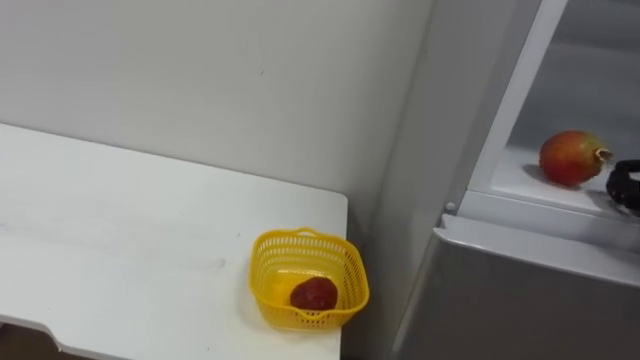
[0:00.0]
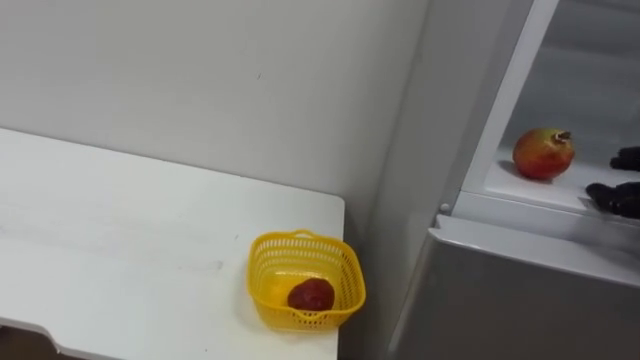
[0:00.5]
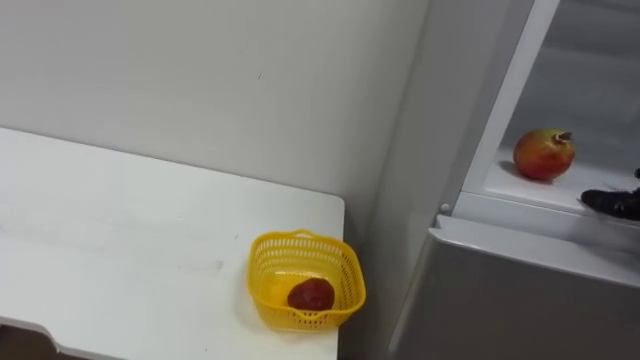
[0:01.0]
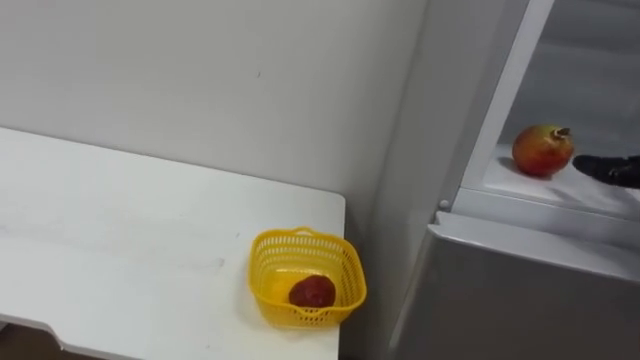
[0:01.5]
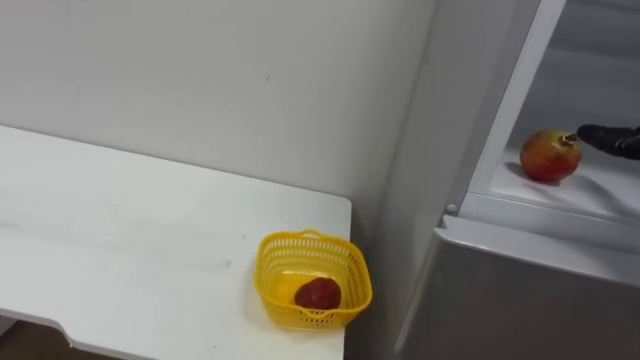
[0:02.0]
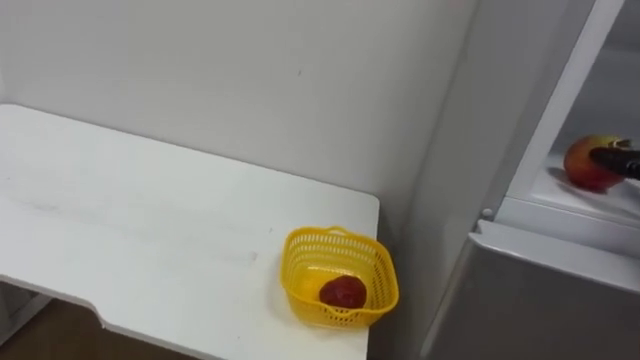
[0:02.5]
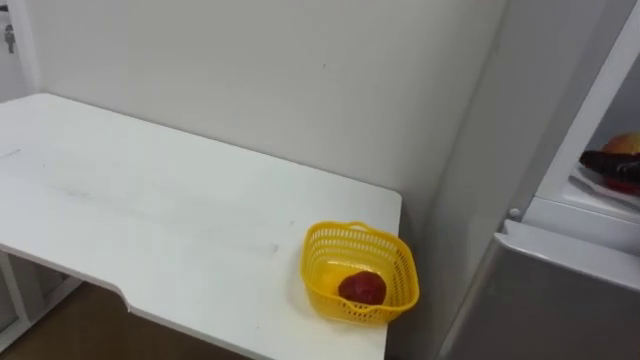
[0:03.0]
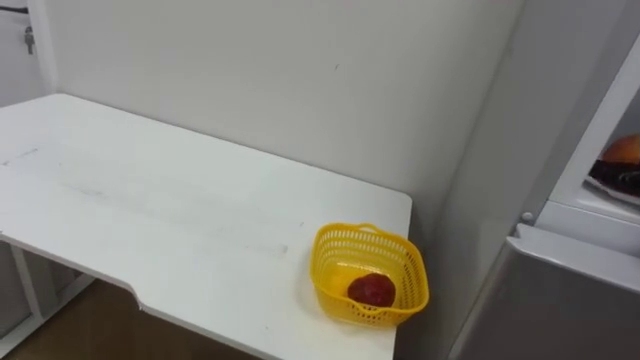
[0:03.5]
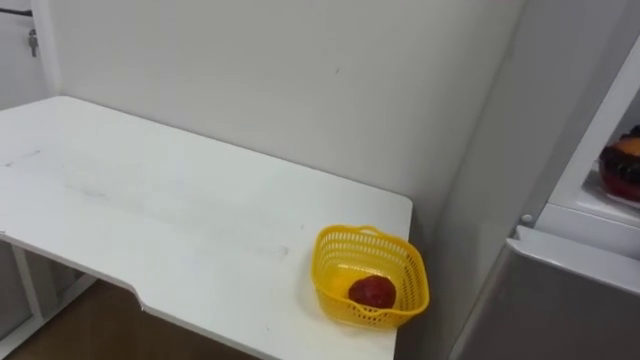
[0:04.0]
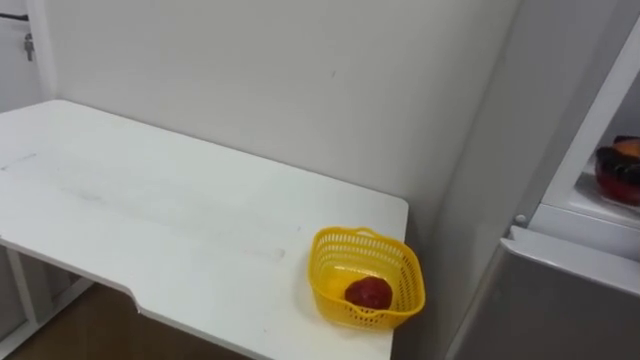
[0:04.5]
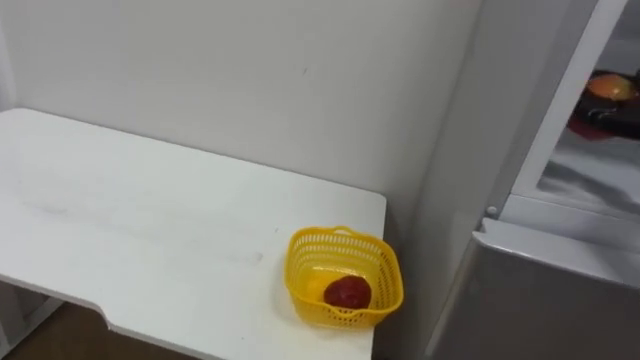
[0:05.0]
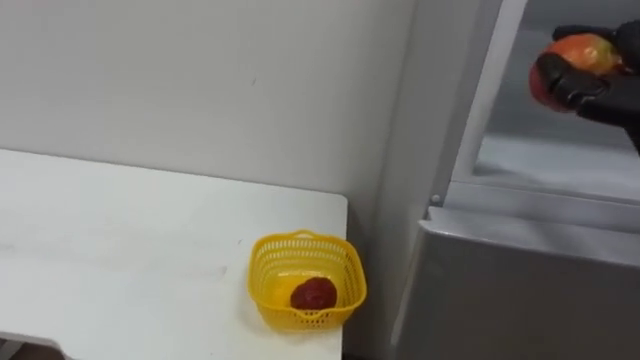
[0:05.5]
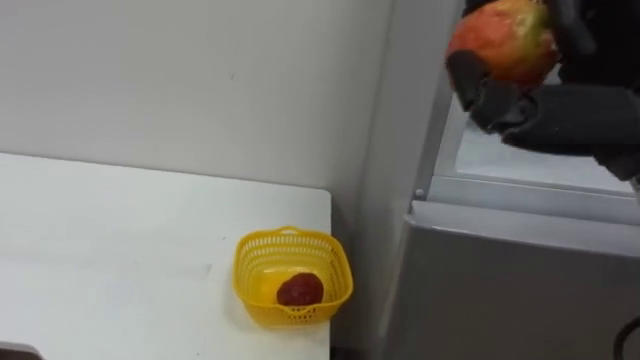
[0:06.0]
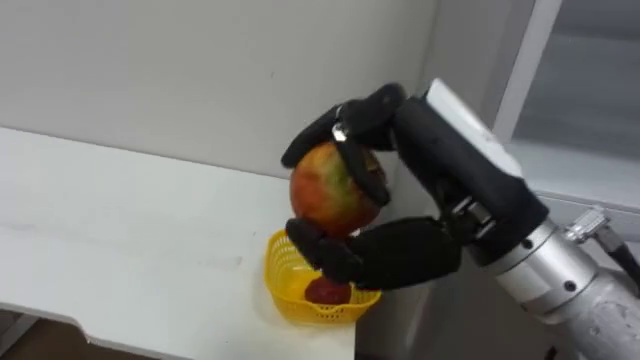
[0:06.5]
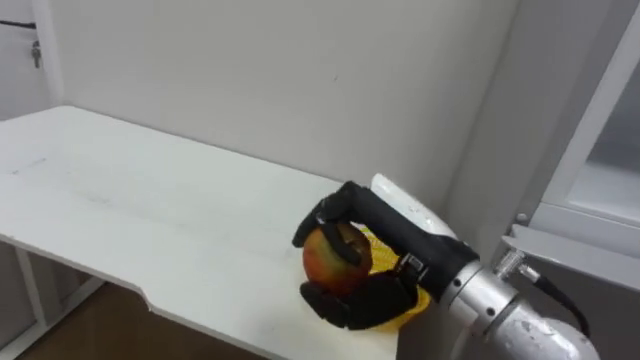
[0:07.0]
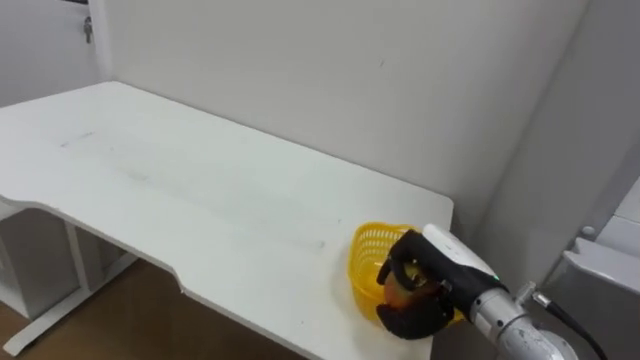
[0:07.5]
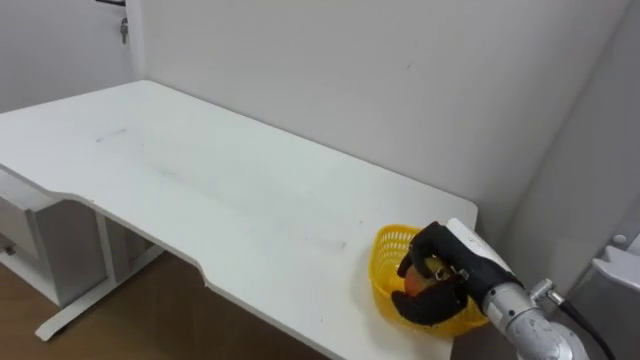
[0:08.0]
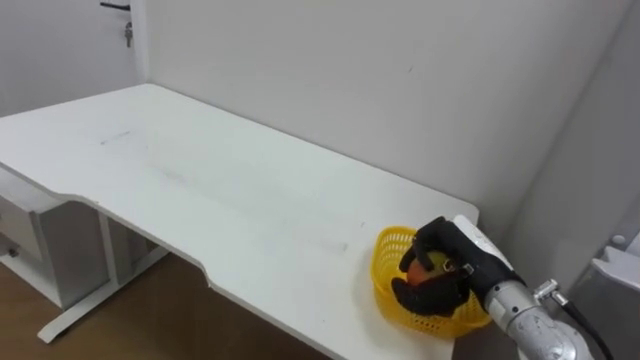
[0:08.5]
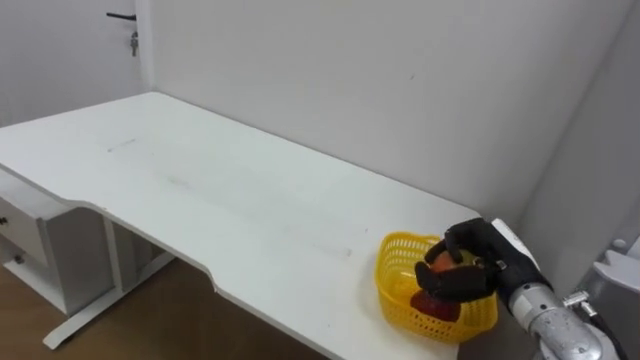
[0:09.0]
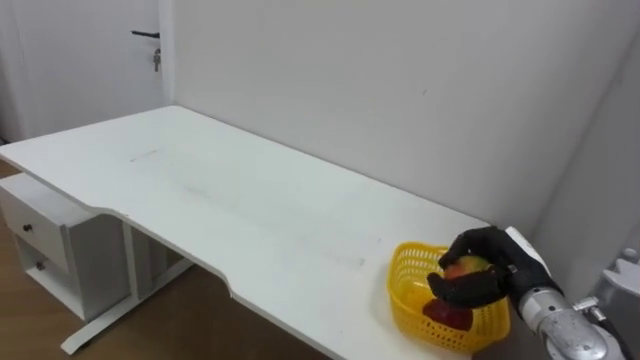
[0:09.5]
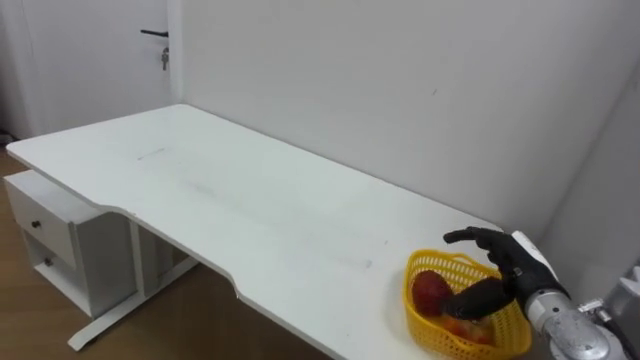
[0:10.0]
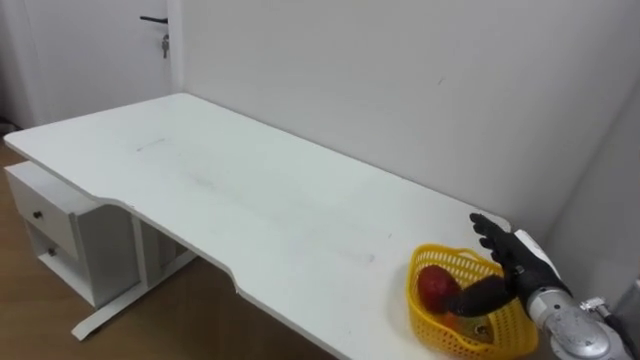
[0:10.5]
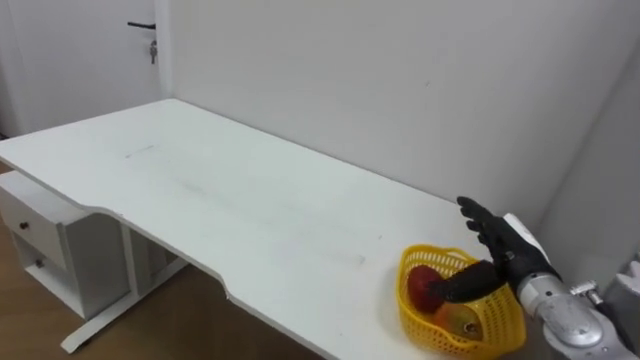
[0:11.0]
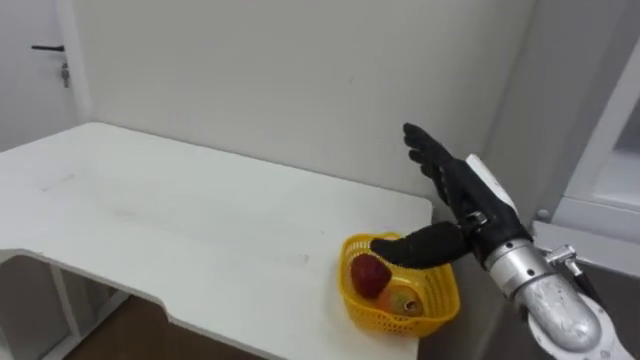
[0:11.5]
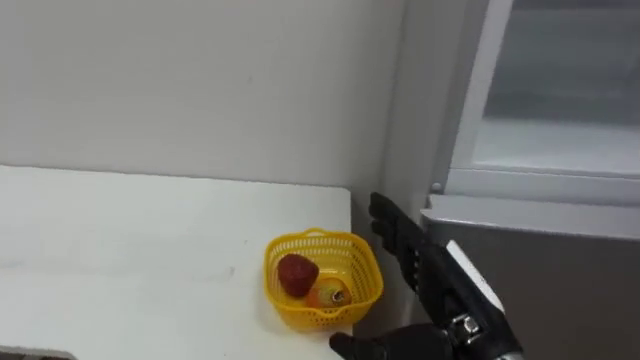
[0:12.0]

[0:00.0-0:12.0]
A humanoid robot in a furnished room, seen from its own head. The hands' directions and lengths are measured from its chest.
Task of the whole recording: Open the refrigerator door, take out the apple and the pomegranate, place them in the fruit basket on the left, and close the refrigerator door.
0:06.0 to 0:08.0: The right hand is displaced downward and forward by about 25 cm.
0:08.0 to 0:10.0: The right hand moves to the right, about 5 cm, and opens.
0:10.0 to 0:12.0: The right hand heads to the left, backward and upward, covering roughly 15 cm.

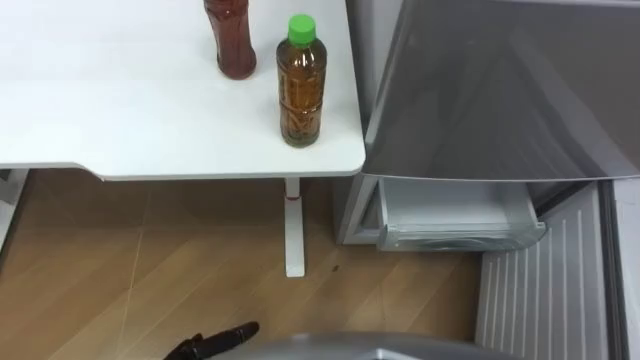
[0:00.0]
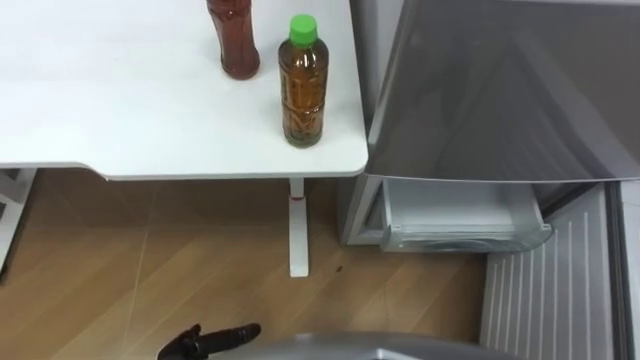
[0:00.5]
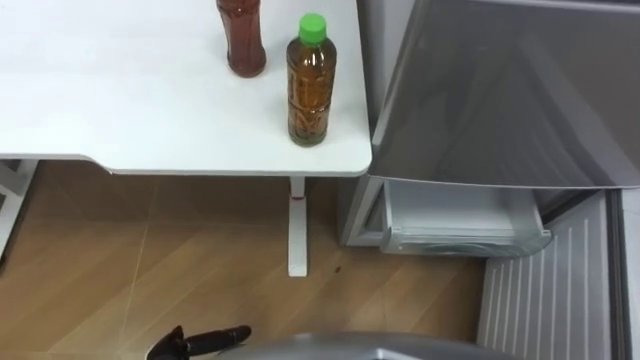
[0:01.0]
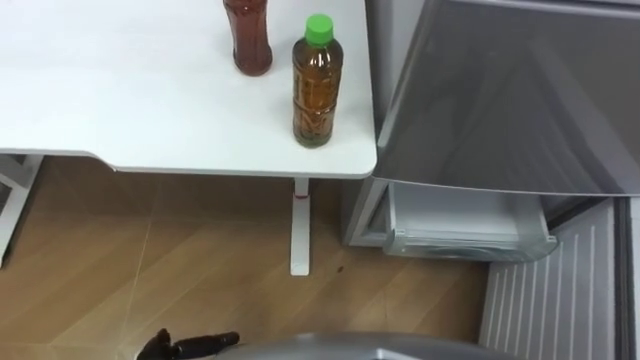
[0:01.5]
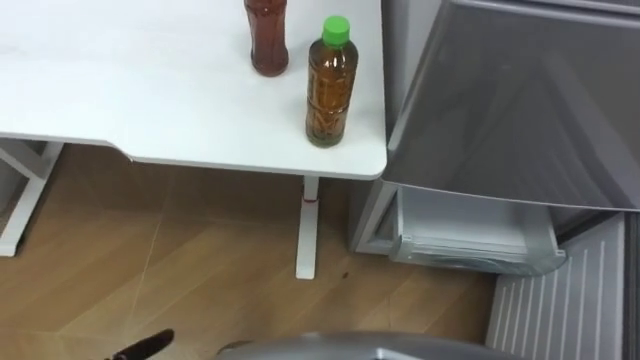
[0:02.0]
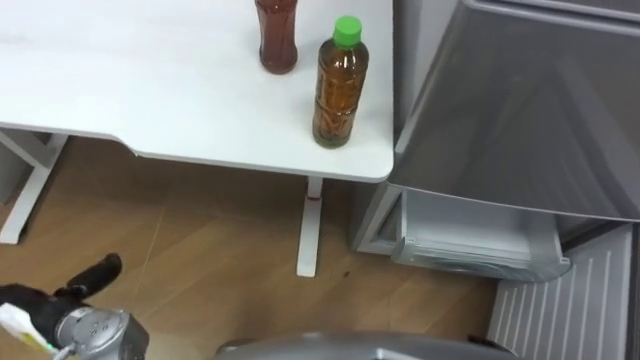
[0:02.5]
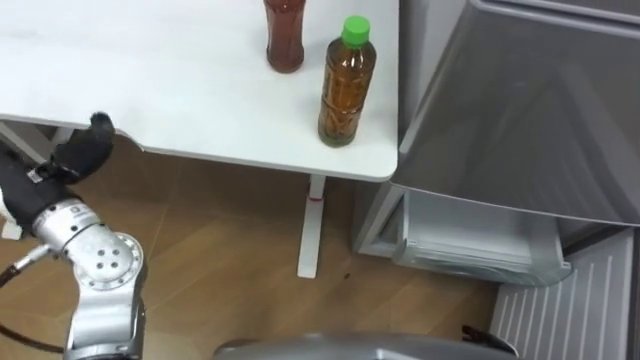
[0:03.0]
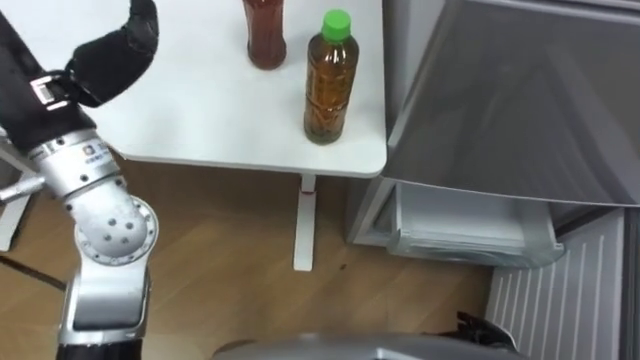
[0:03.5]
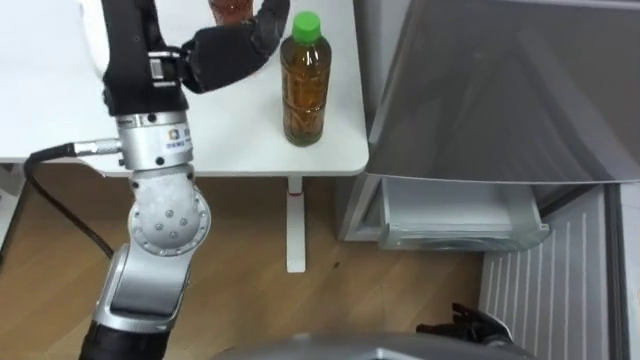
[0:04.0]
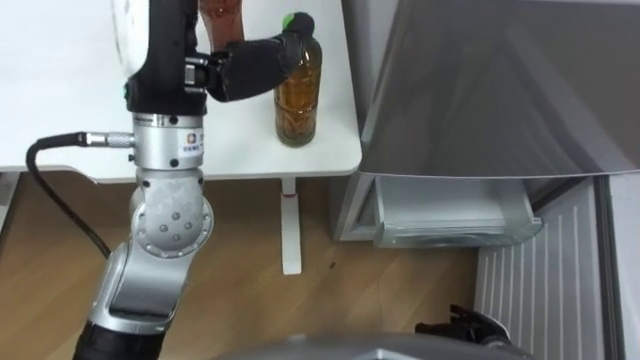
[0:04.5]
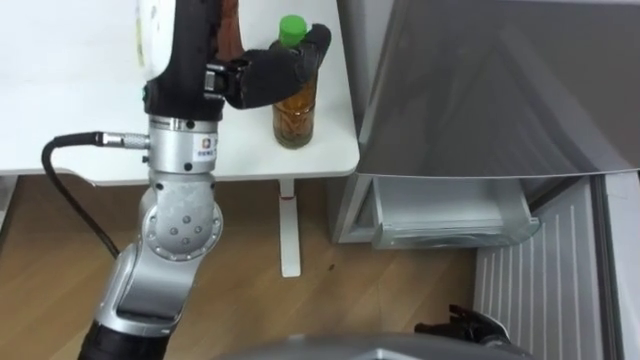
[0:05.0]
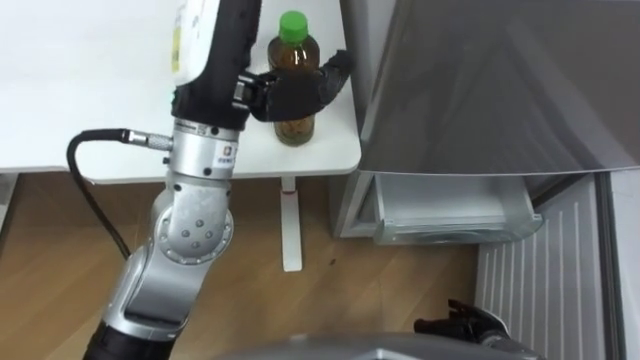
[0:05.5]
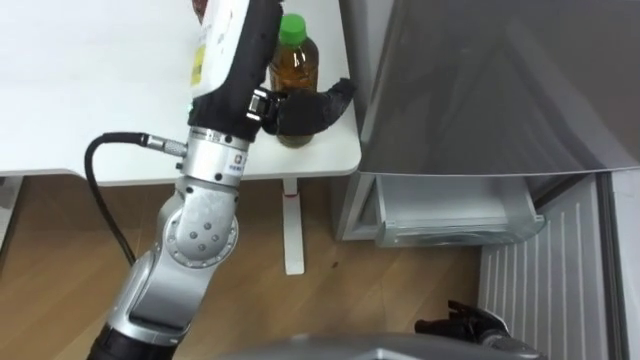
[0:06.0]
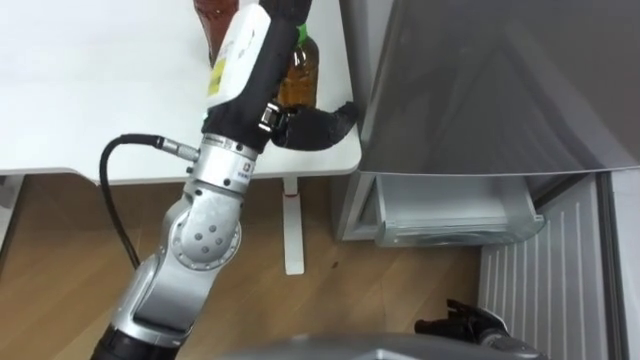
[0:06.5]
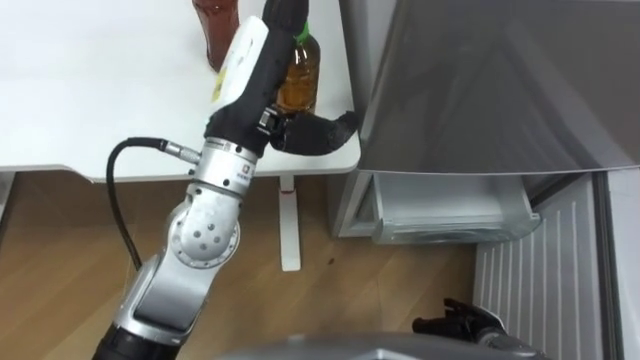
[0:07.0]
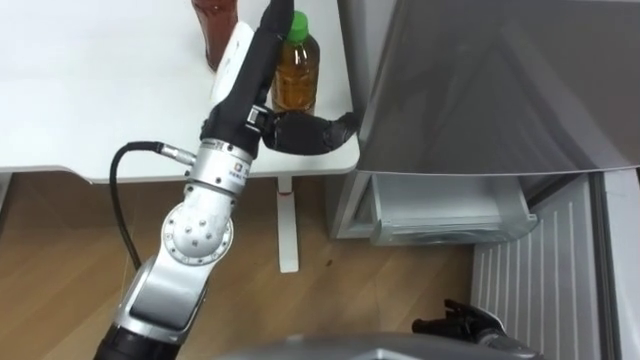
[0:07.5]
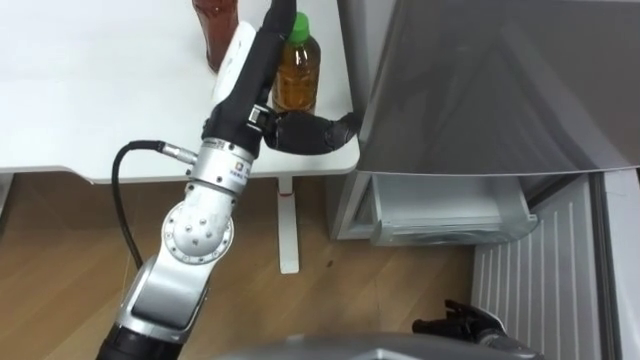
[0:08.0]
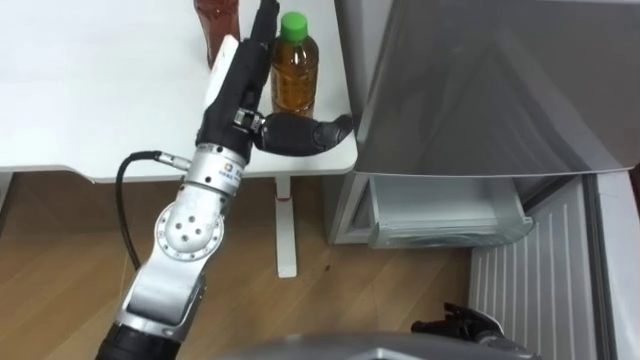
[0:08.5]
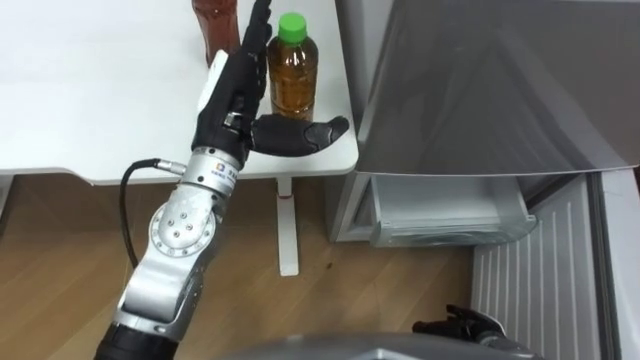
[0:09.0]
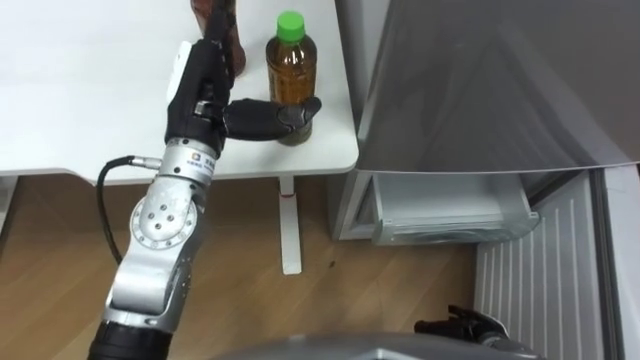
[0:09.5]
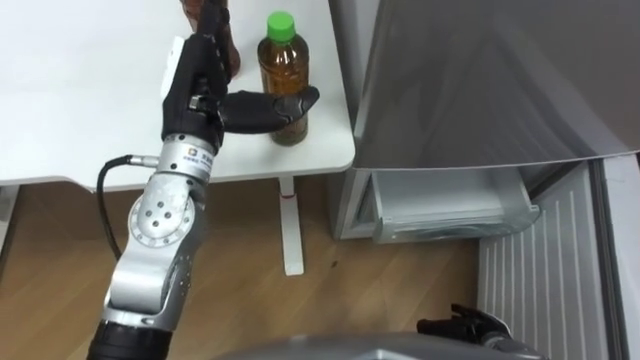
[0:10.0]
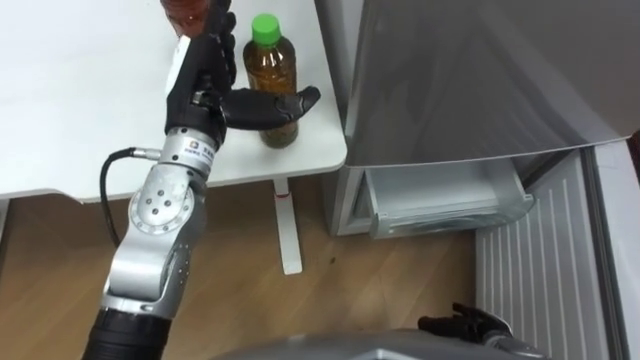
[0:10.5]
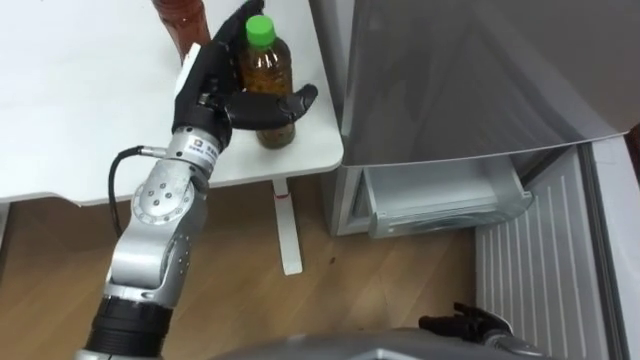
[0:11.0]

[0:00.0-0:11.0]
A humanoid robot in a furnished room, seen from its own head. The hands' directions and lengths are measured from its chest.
Task of the whole recording: Place the drink on the table on the bottom shelf of the refrigerator, then close the drawer and the refrigerator door.
0:03.5 to 0:05.5: The left hand travels to the right by roughly 15 cm.
0:05.5 to 0:07.5: The left hand is displaced downward by some 5 cm.
